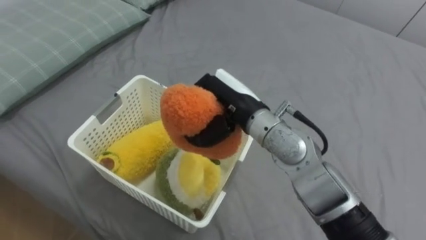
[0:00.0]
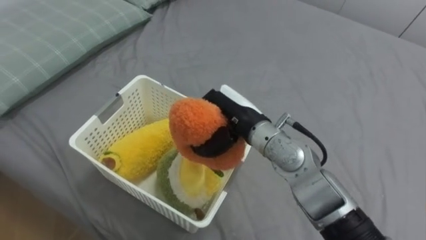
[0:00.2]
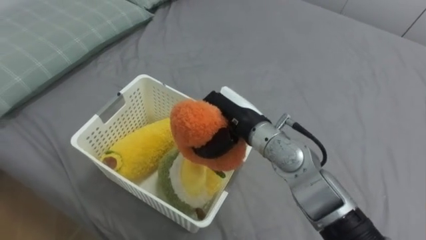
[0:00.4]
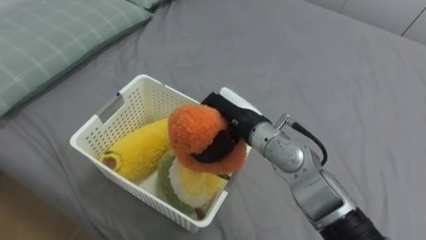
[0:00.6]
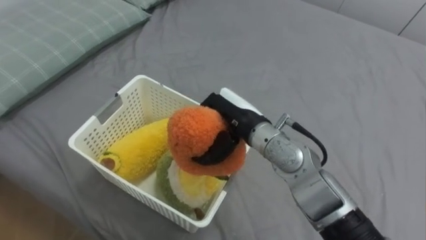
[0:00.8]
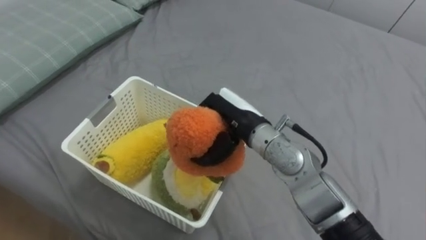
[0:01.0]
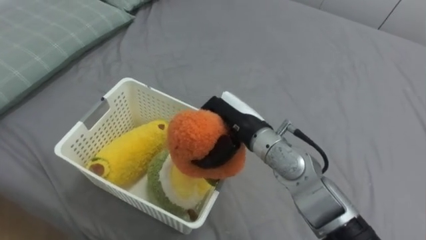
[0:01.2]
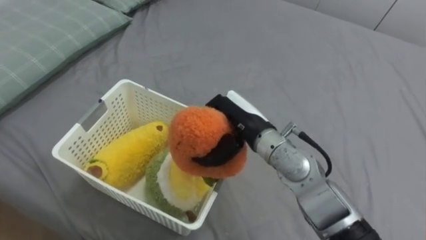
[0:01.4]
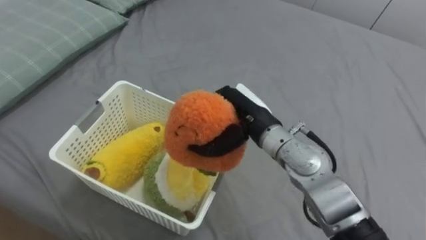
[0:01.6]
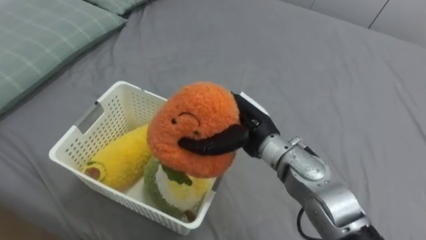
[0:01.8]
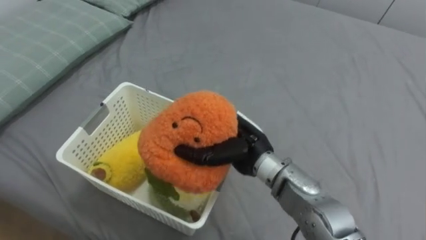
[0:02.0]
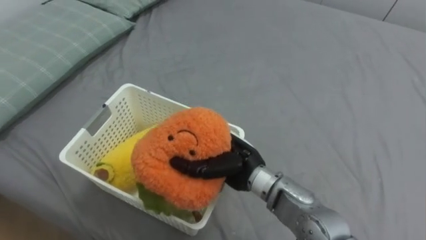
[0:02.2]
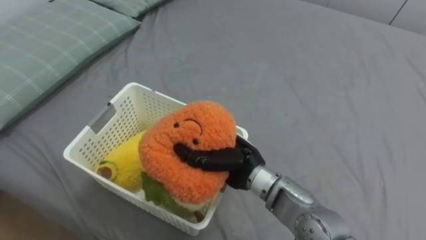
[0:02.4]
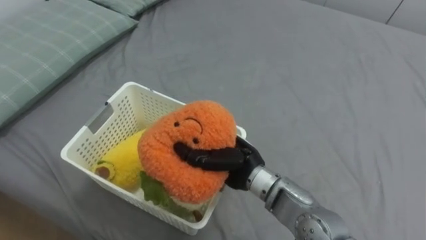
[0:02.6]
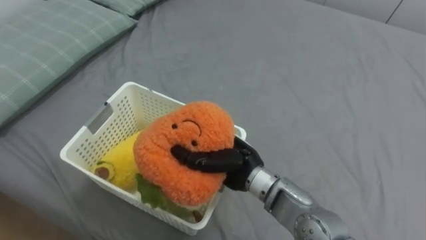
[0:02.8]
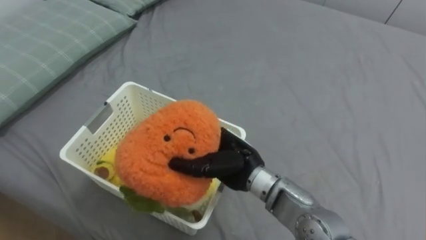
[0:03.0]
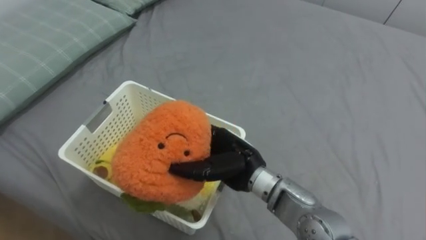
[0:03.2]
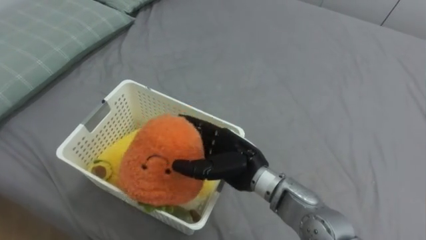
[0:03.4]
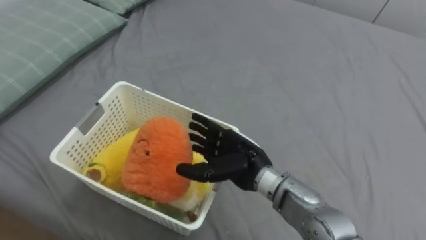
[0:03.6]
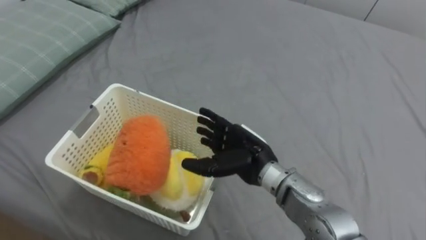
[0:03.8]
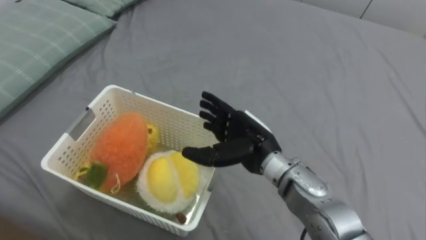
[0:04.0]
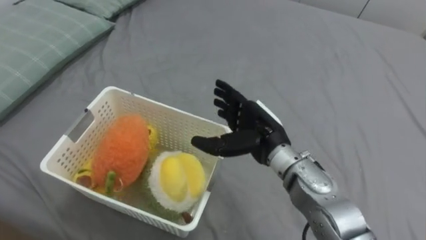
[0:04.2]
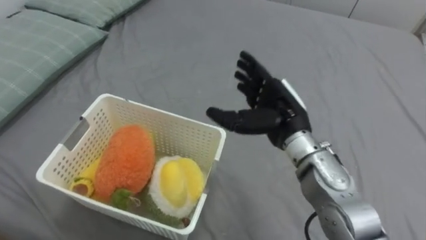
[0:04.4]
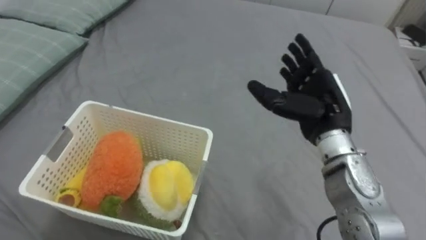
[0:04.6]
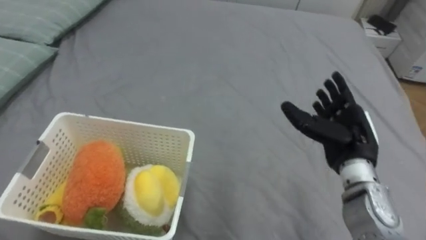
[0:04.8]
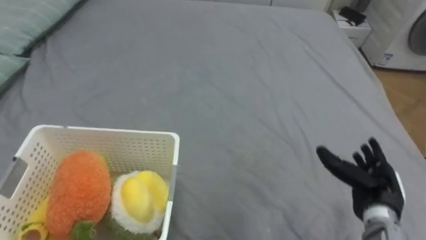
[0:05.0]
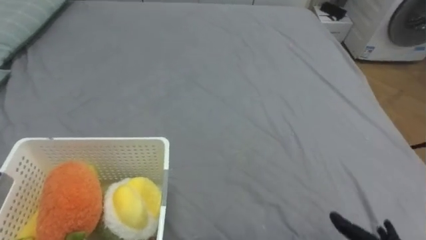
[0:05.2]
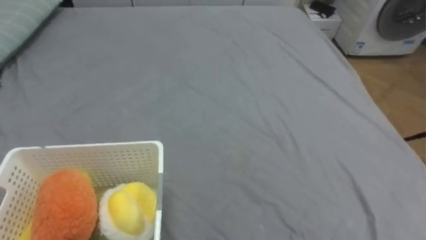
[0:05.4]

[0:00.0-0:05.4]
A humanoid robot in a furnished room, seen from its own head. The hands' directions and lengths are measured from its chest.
Task of the whole recording: Put the toys on the bed into the basket on the left.
0:01.4 to 0:02.8: The right hand shifts by some 5 cm.
0:02.8 to 0:04.0: The right hand opens.

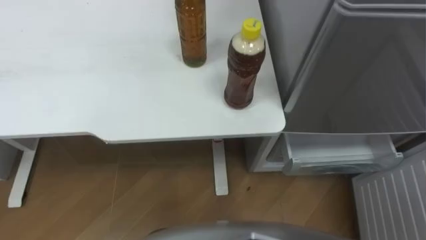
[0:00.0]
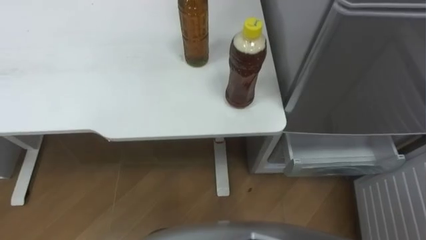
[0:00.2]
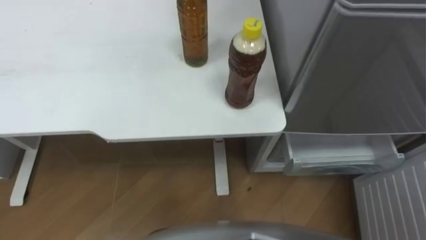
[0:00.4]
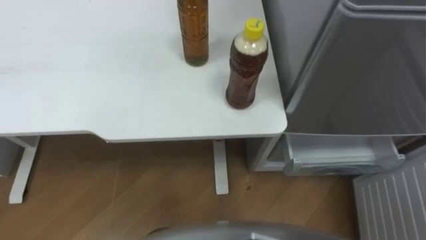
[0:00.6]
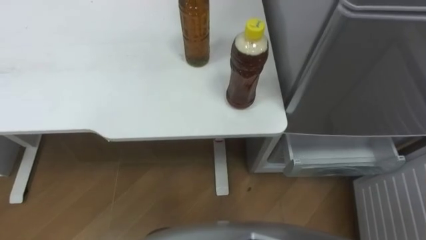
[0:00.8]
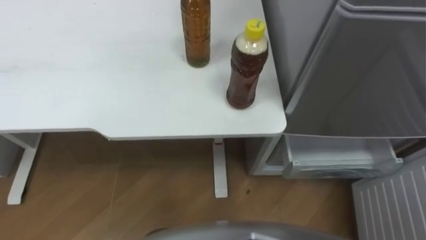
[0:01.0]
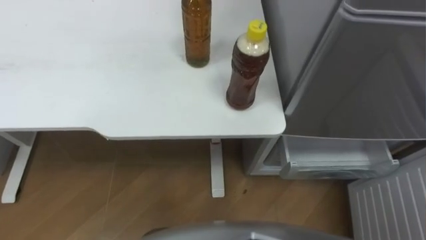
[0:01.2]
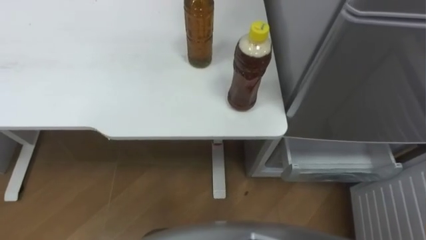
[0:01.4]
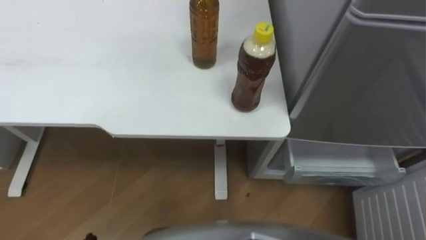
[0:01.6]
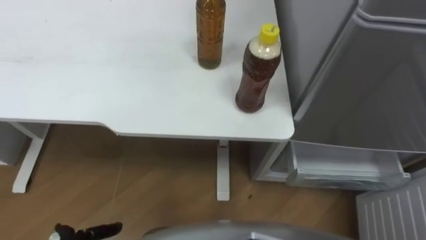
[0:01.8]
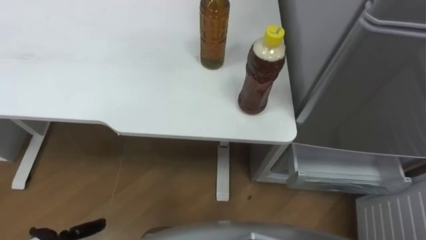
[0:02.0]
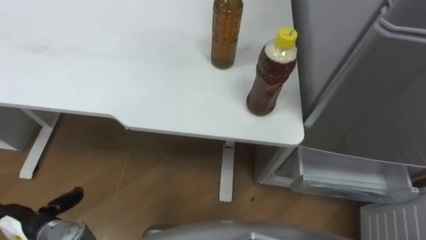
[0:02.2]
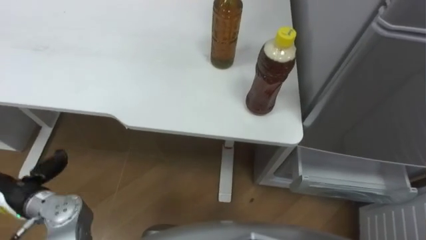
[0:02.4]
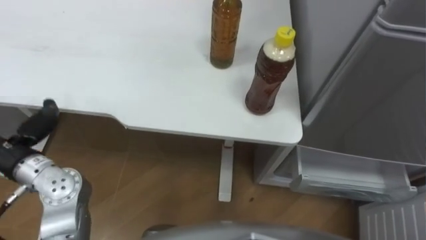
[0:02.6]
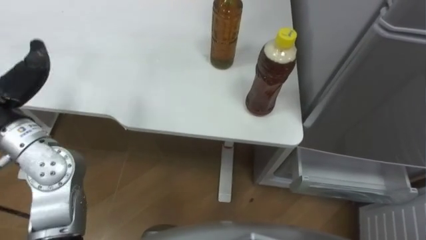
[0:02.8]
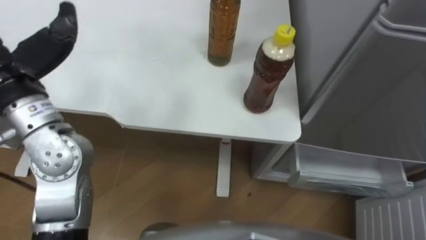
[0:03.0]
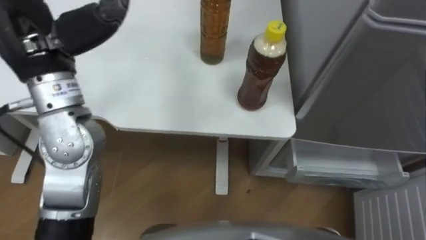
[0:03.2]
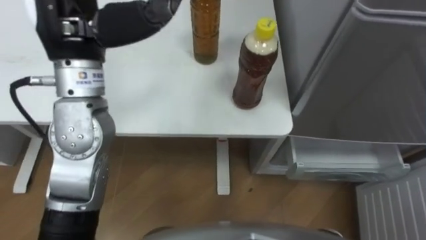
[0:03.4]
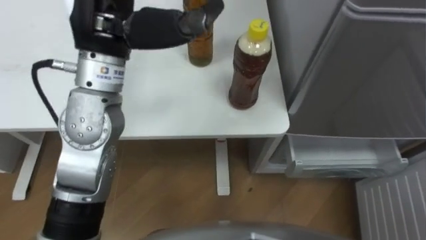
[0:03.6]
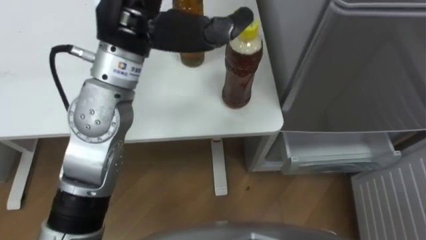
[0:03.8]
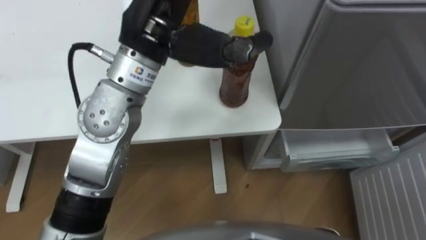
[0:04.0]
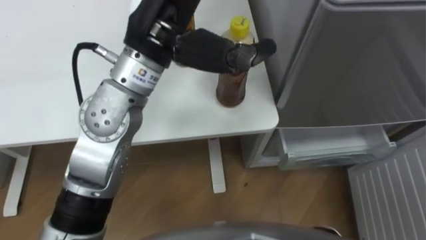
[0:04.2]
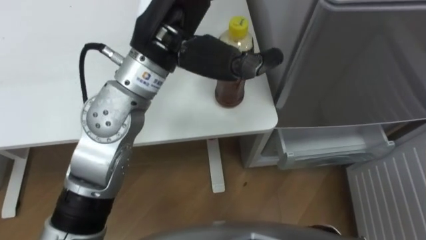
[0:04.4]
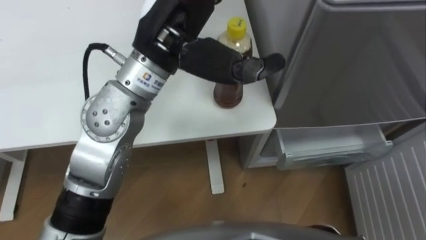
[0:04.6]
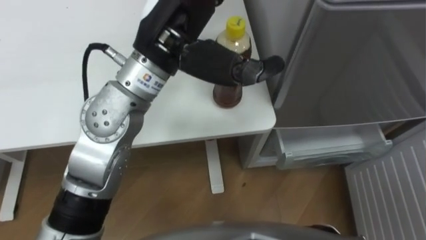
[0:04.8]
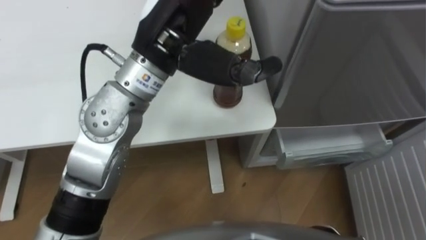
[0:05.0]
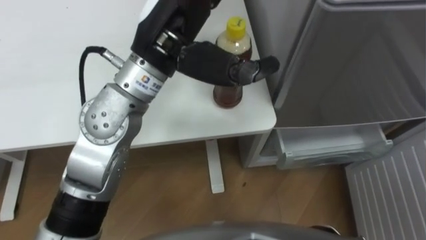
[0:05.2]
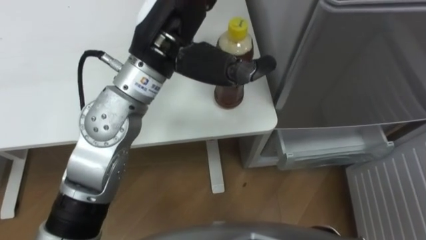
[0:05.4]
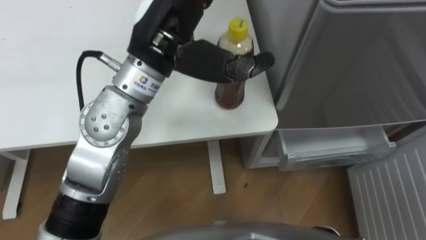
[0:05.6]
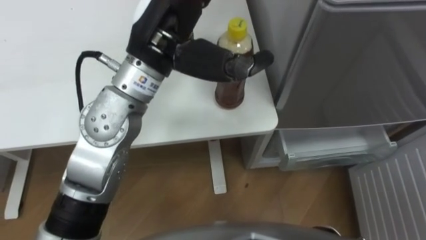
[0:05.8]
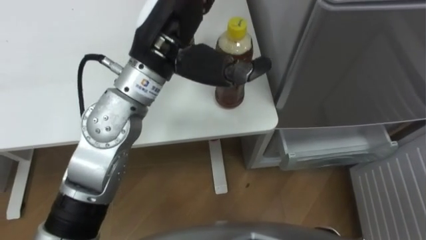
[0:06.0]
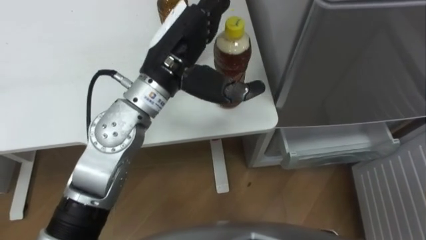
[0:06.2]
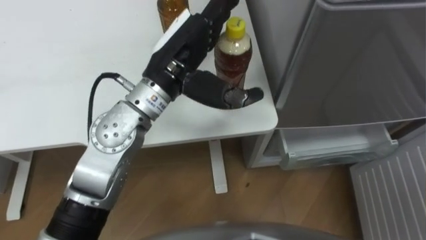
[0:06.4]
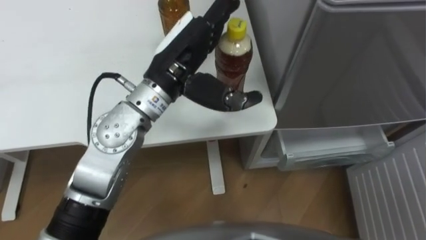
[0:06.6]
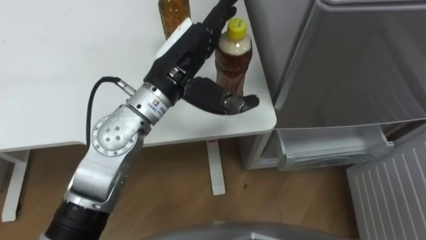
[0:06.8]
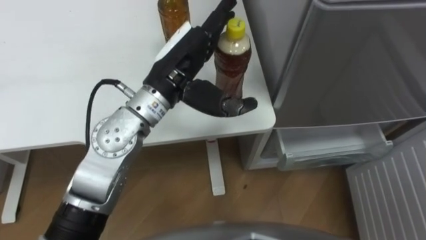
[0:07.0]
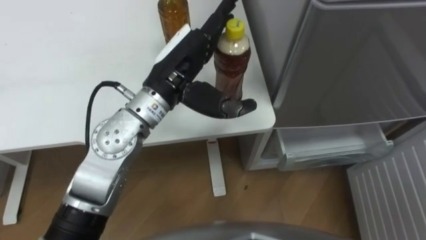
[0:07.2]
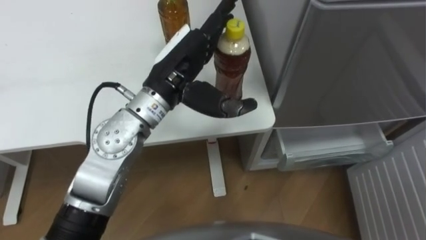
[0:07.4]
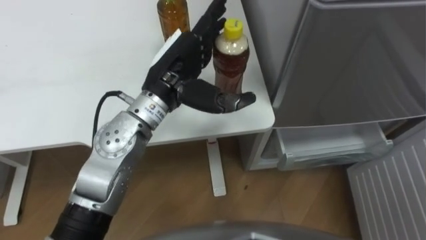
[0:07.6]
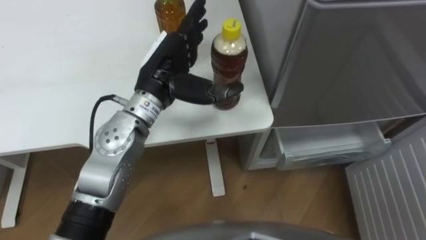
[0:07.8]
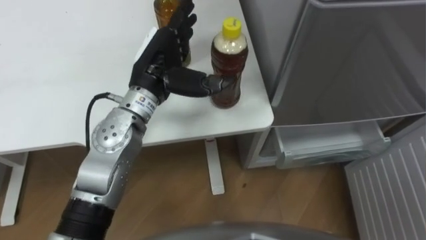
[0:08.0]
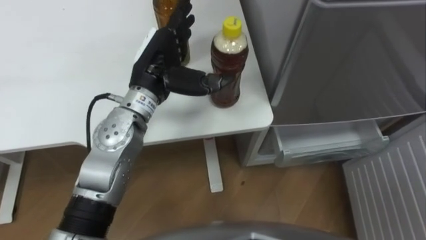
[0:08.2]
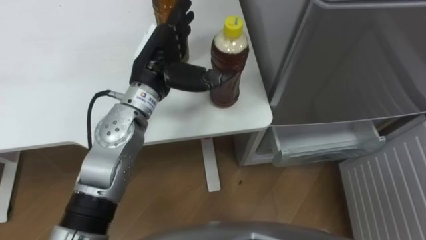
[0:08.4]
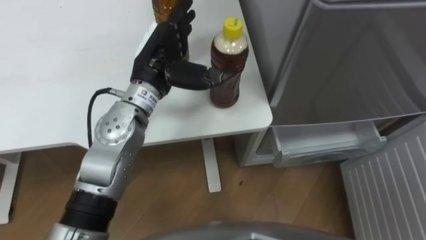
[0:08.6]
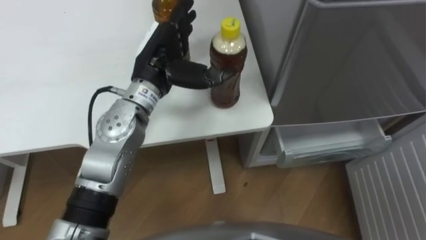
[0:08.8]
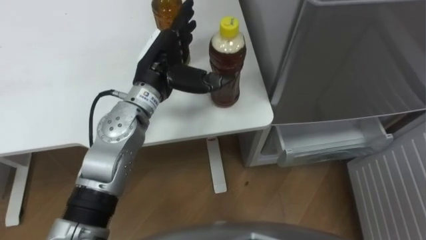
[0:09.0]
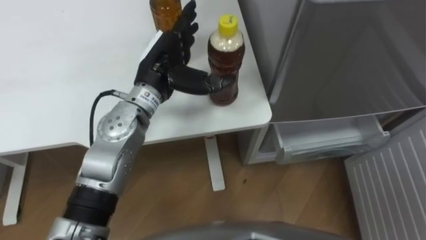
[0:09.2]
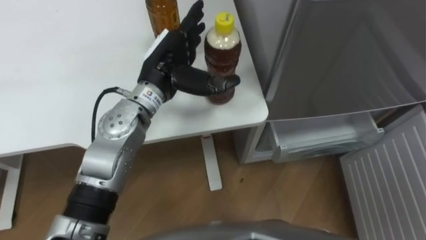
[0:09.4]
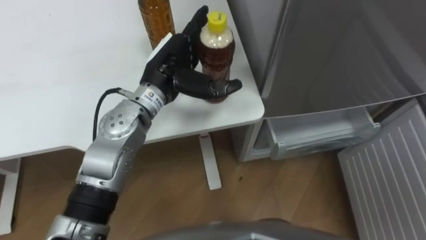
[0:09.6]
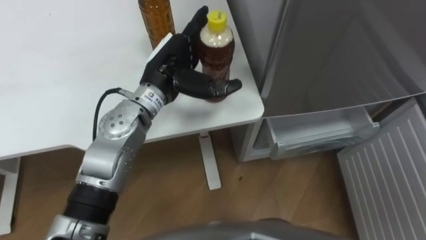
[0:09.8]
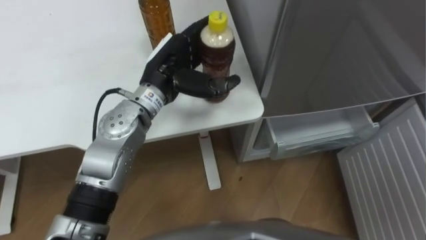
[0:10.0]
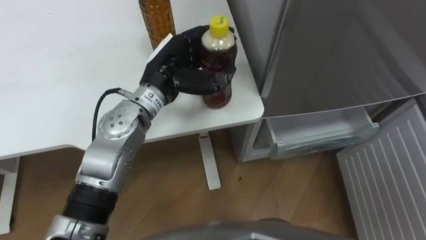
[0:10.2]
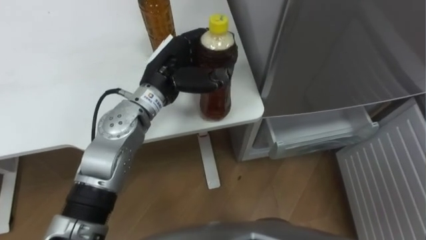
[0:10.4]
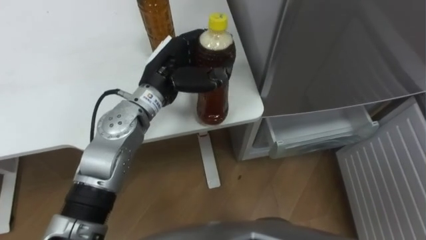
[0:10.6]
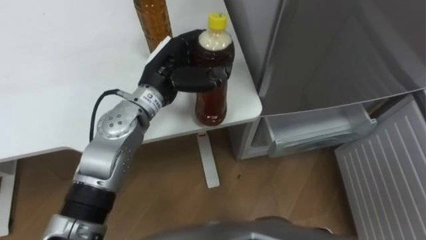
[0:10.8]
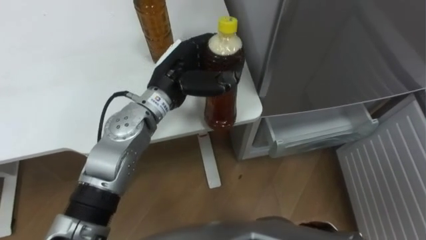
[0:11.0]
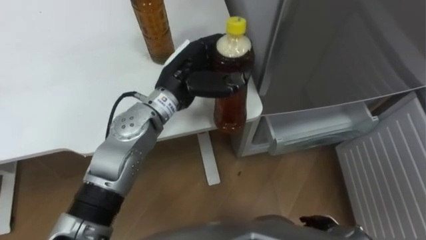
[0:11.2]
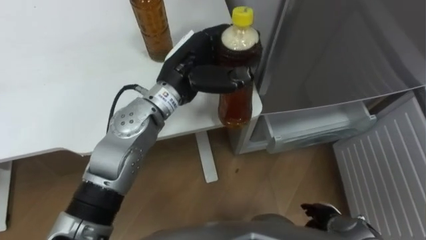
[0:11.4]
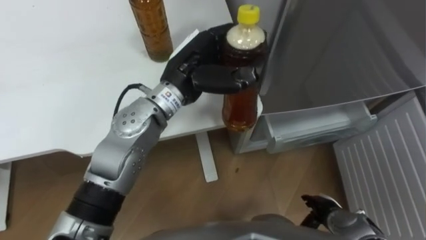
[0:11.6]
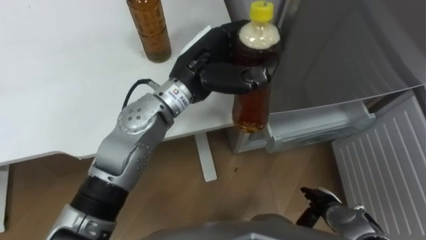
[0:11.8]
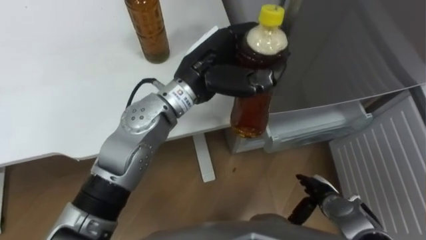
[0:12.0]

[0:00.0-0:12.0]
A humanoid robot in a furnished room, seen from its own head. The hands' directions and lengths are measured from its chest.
Task of the whole recording: Place the drink on the table on the bottom shelf of the refrigerator, then close the drawer and the refrigerator door.
0:06.0 to 0:07.6: The left hand moves downward, approximately 10 cm.
0:07.6 to 0:09.0: The left hand moves roughly 5 cm.
0:09.0 to 0:10.4: The left hand closes up.
0:10.4 to 0:12.0: The left hand heads to the right, covering some 5 cm.
